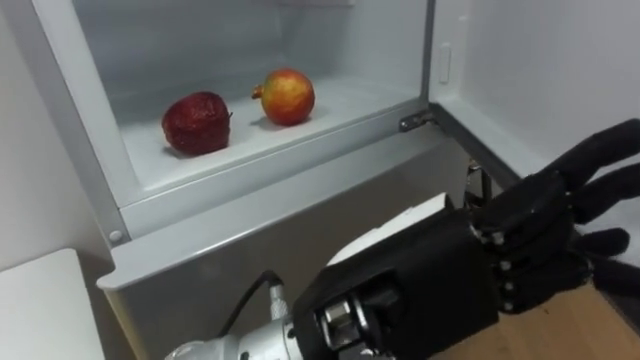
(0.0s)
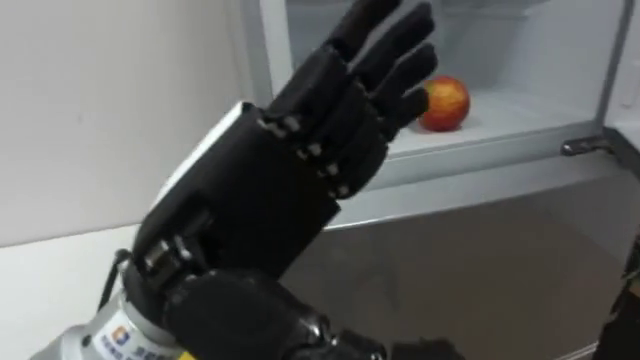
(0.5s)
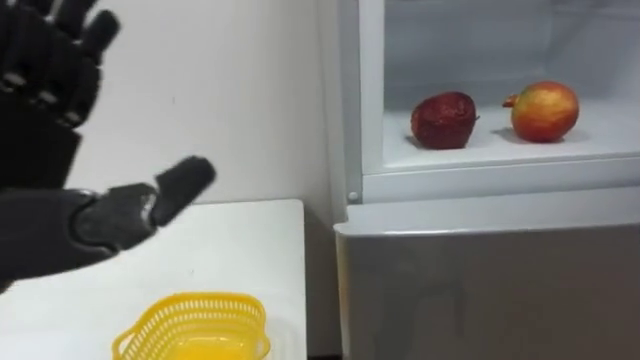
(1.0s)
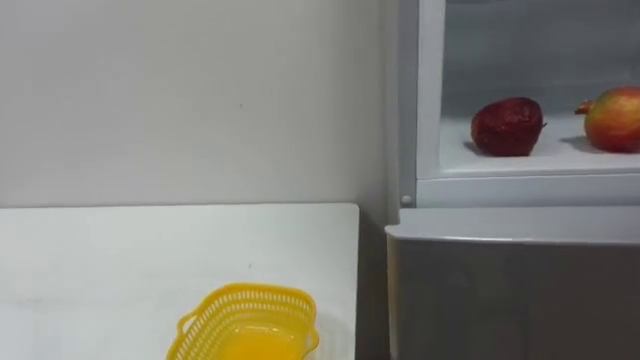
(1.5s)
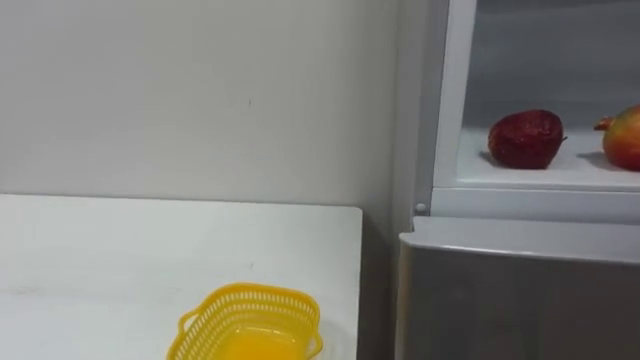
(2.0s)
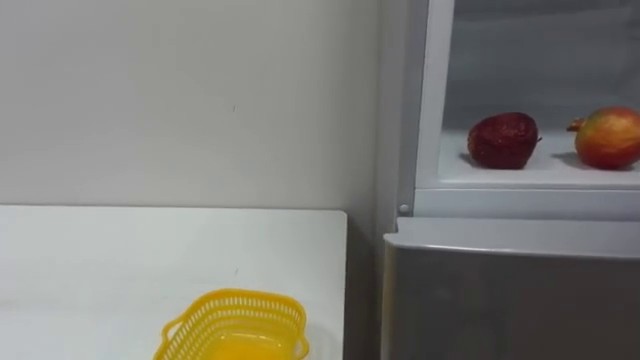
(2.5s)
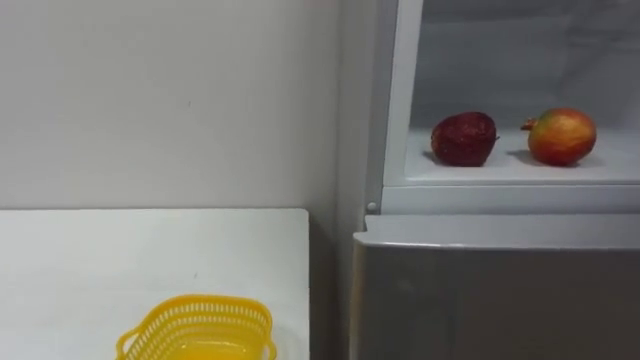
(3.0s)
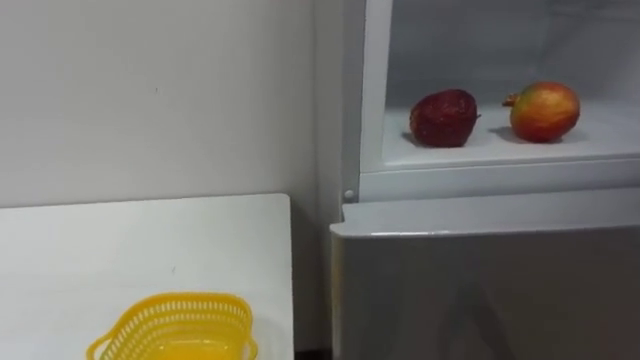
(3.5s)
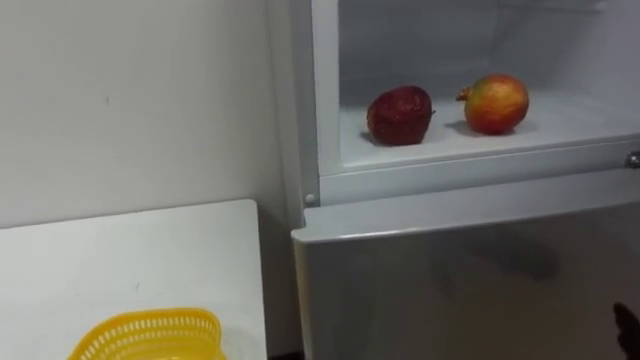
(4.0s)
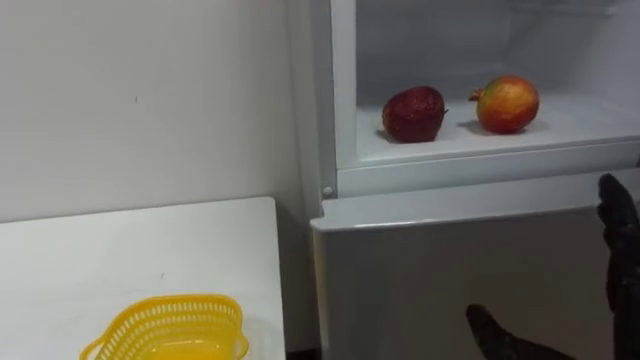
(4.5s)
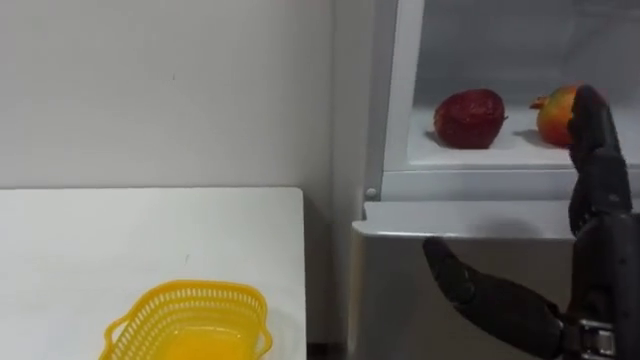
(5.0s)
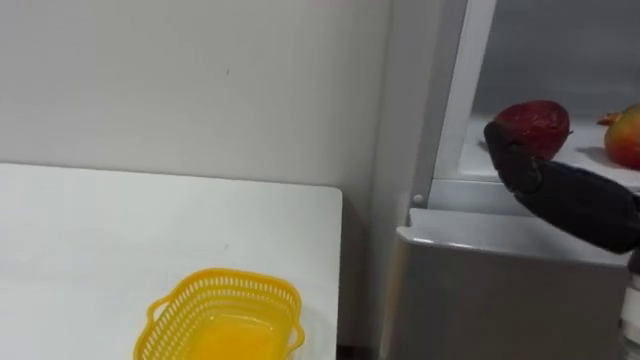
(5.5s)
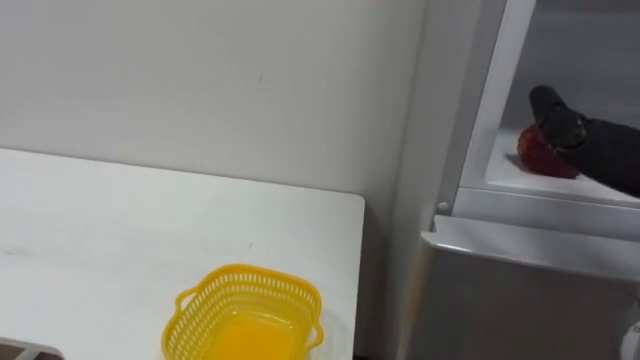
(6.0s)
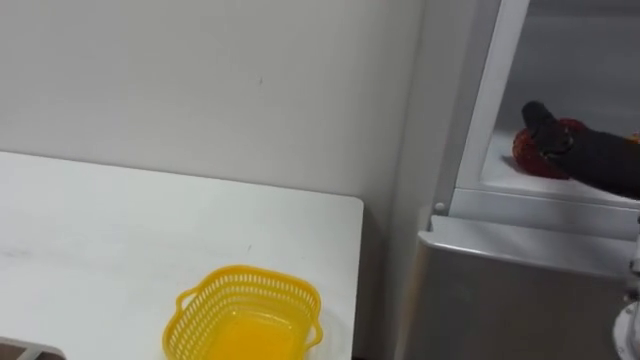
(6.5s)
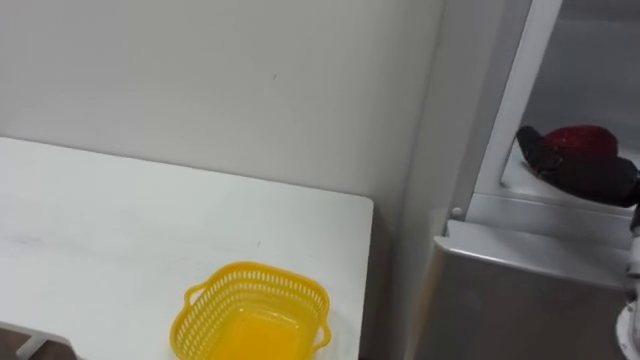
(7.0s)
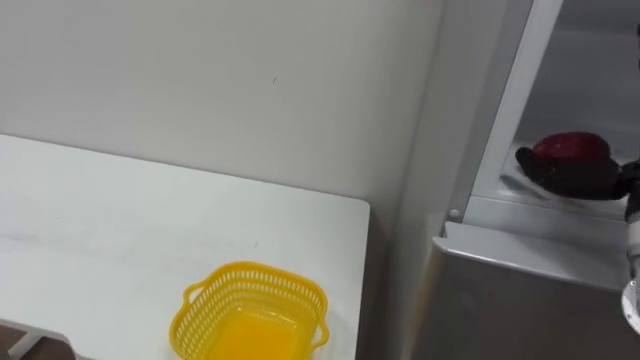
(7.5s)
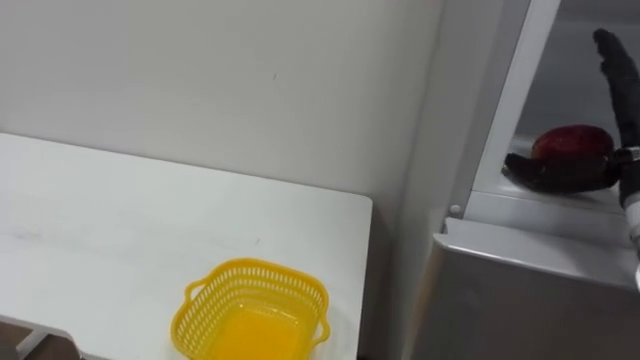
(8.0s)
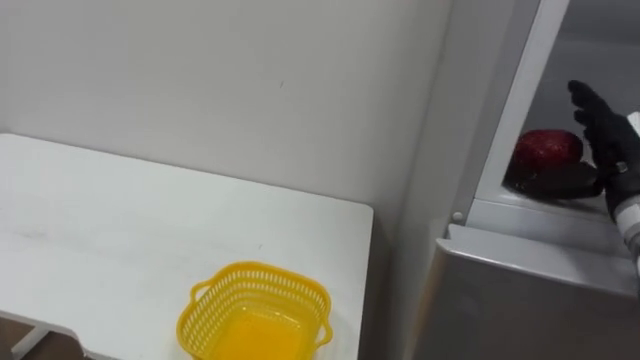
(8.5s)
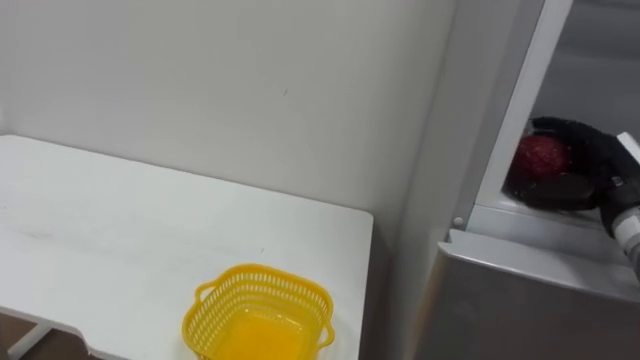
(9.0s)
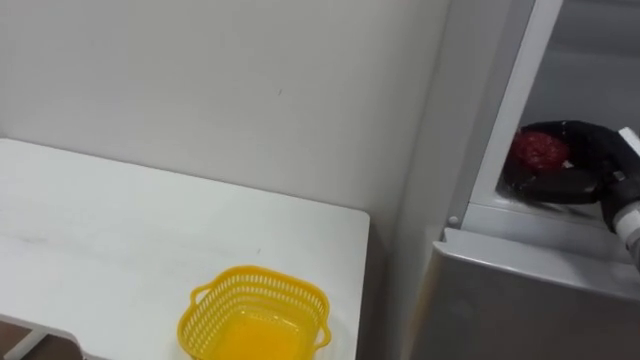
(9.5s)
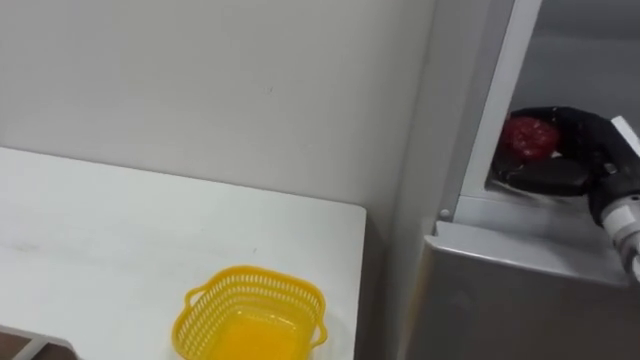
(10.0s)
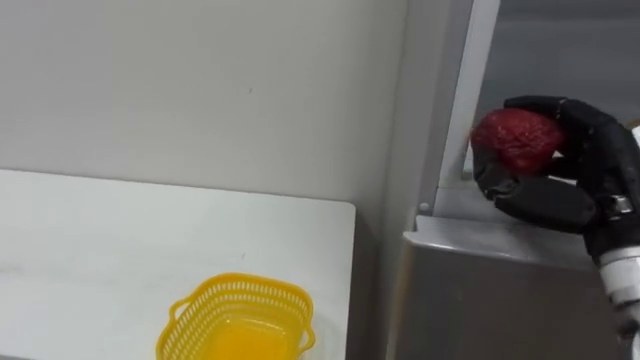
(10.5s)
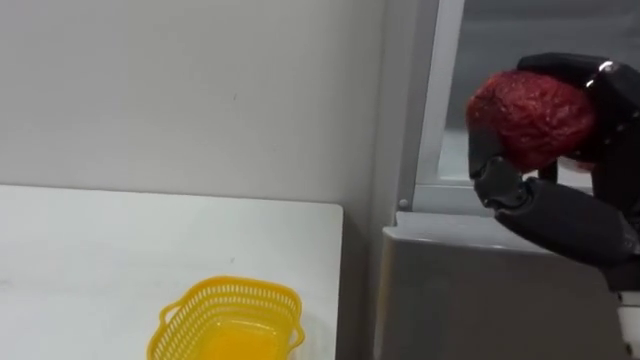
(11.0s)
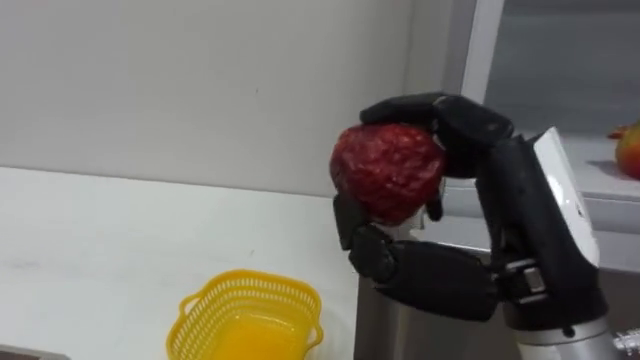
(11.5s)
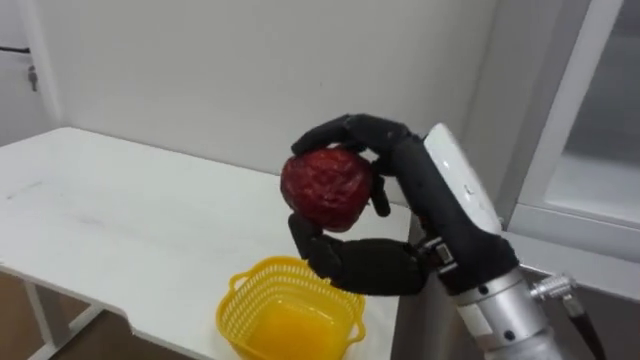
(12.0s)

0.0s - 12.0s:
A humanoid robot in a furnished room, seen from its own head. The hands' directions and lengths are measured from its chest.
Task of the whole recording: Open the refrigerator door, take out the apple and the pomegranate, place them in the fruit basket on the left, and close the refrigerator door.
8.0s - 10.0s: The right hand shifts by some 5 cm, and closes.
10.0s - 12.0s: The right hand is displaced to the left and backward by roughly 25 cm.

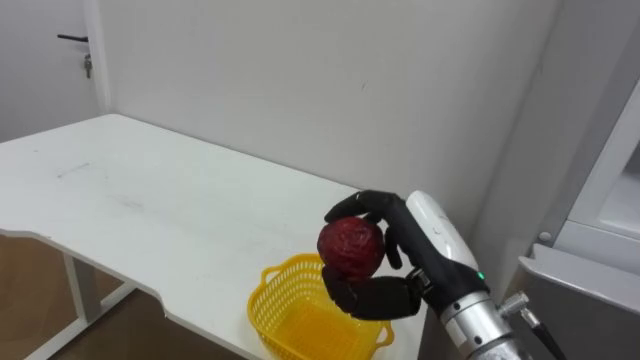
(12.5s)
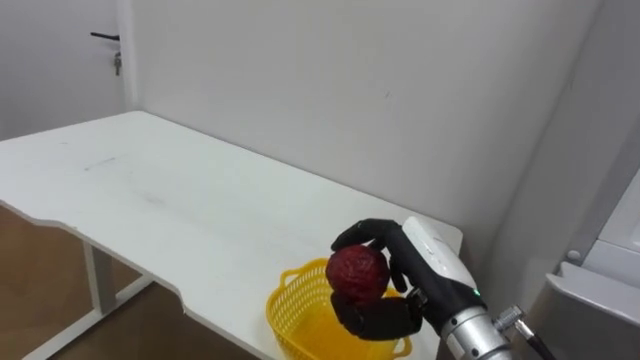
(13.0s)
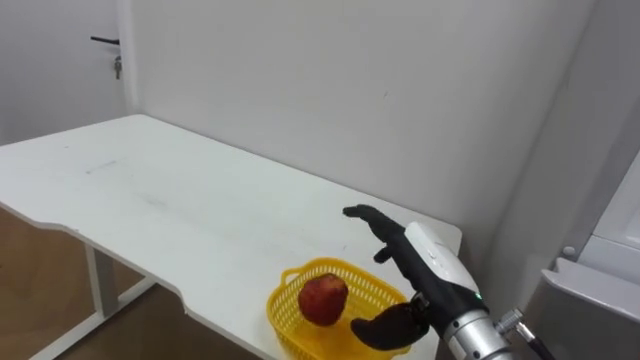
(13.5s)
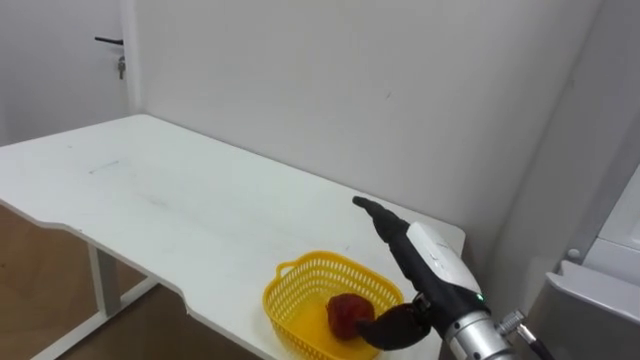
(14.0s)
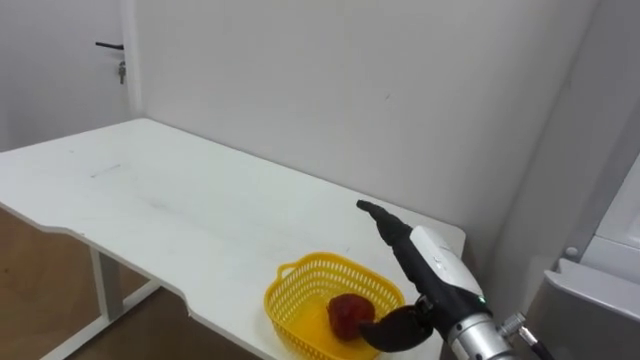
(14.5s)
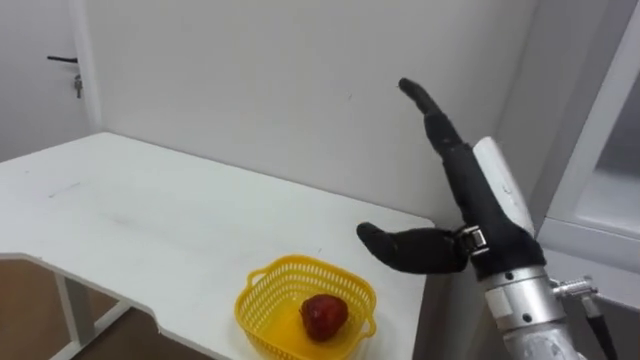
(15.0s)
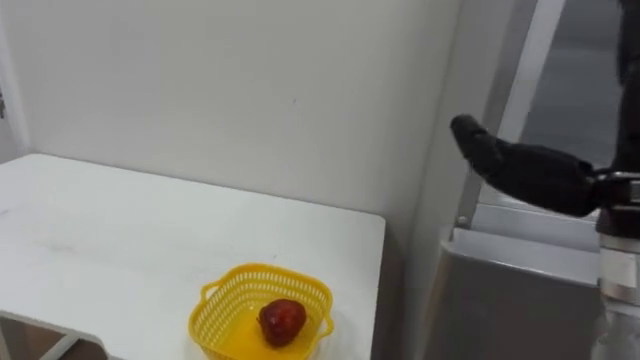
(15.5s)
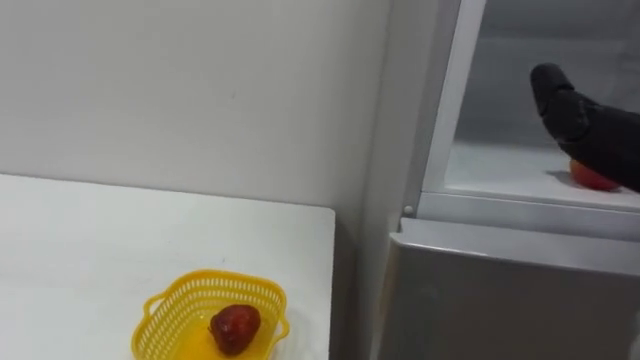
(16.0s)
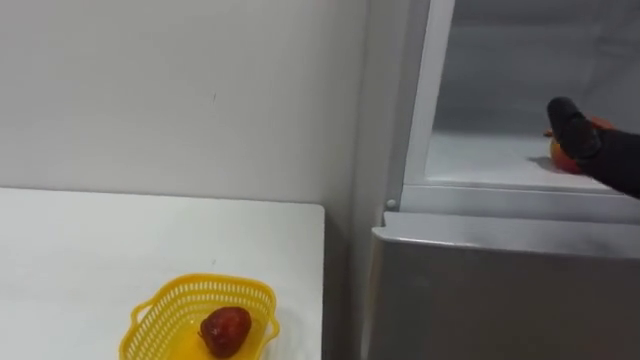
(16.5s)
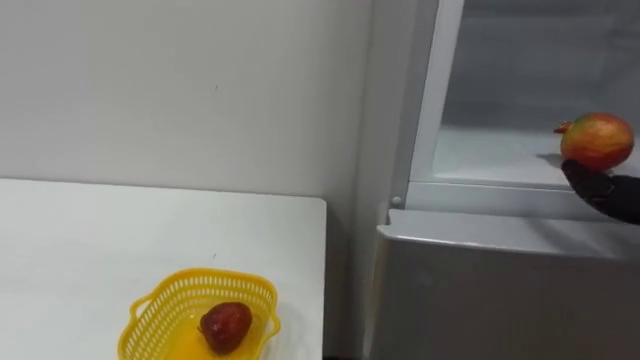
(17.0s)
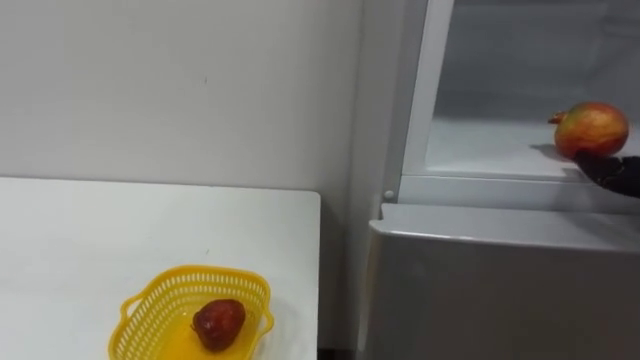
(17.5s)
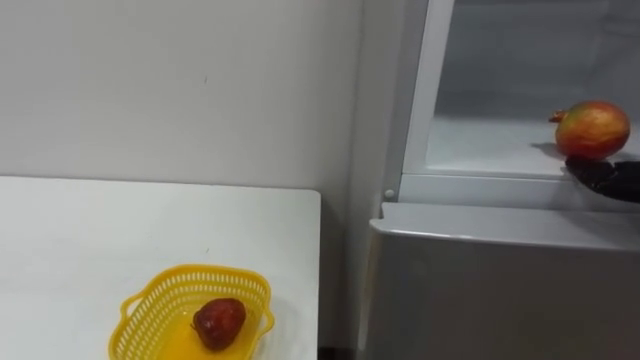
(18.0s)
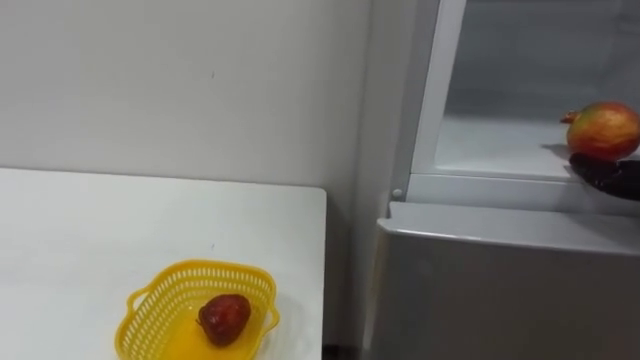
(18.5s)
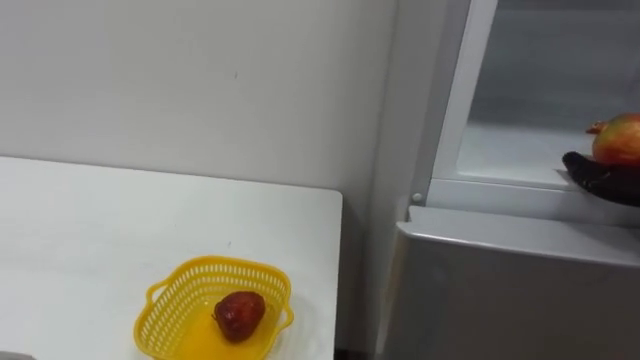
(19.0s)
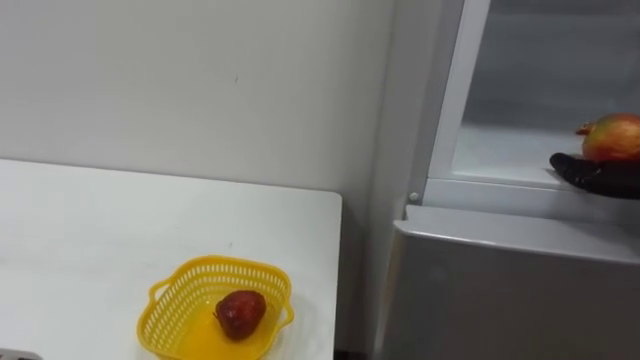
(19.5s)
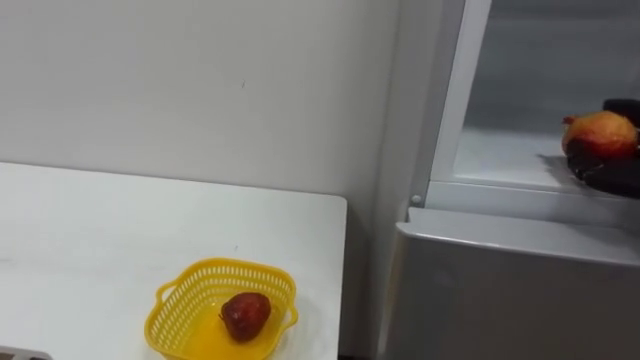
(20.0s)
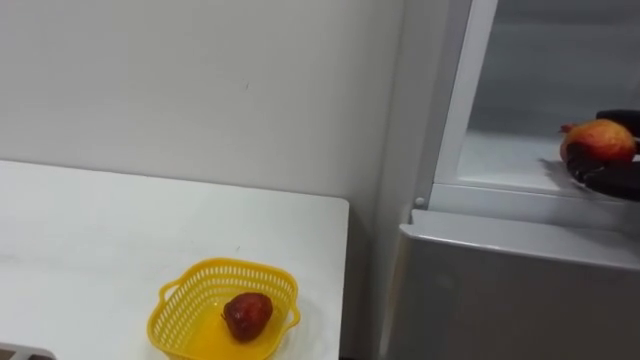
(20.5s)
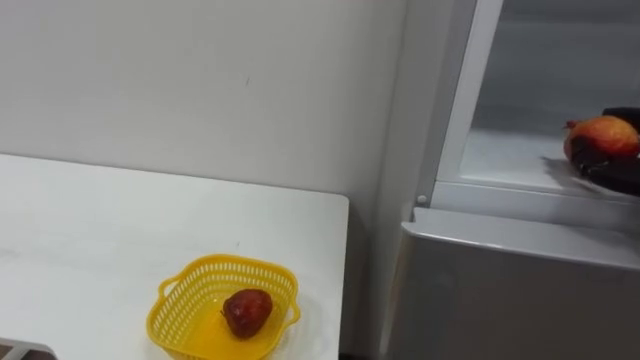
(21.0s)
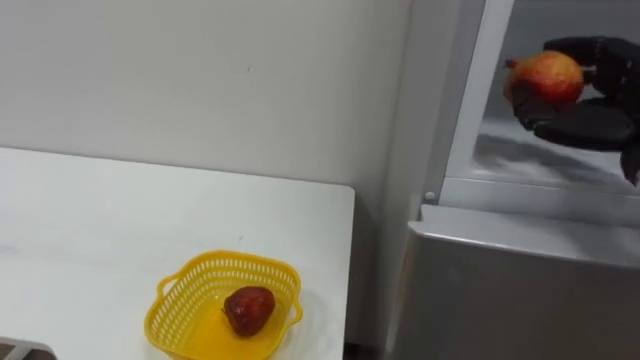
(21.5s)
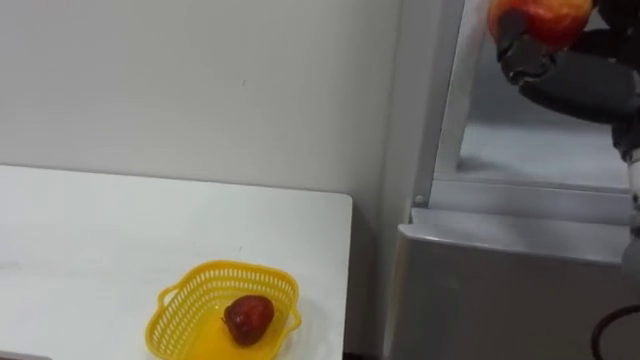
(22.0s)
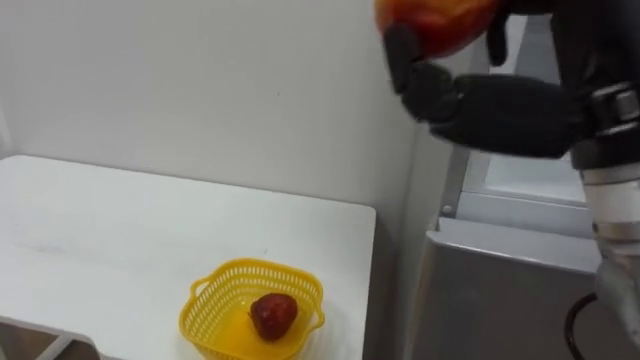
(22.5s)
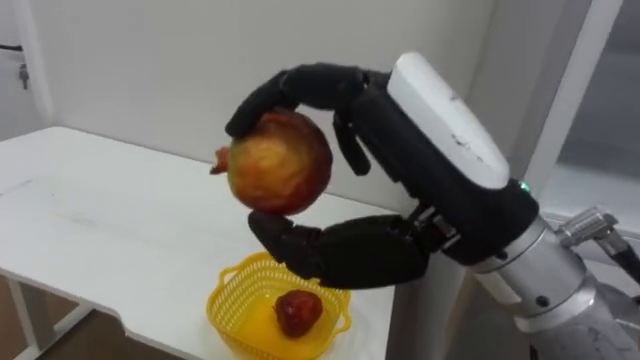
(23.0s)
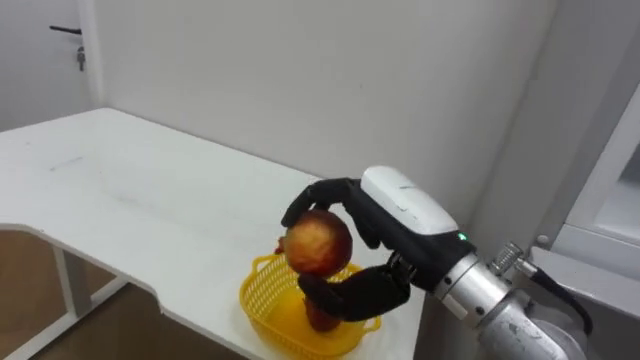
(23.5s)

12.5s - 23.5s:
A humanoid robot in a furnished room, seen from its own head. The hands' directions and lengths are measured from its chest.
Task of the whole recording: Open the refrigerator door, take out the apple and the pomegranate, place them in the fruit basket on the left, and close the refrigerator door.
12.5s - 14.5s: The right hand shifts some 5 cm downward, and opens its fingers.
21.5s - 23.5s: The right hand travels to the left by approximately 25 cm.
